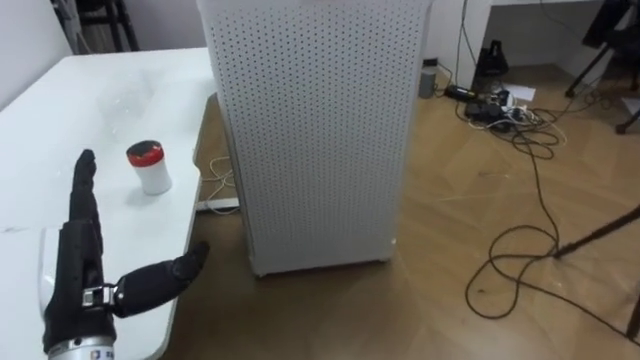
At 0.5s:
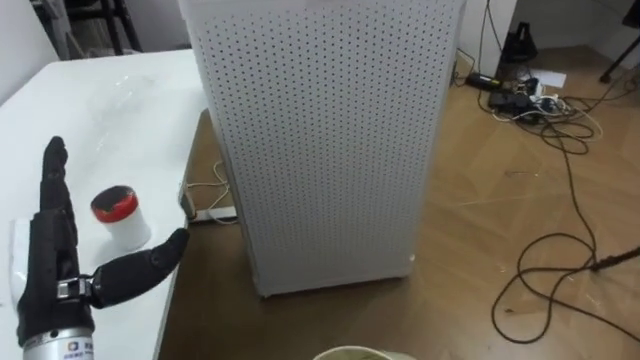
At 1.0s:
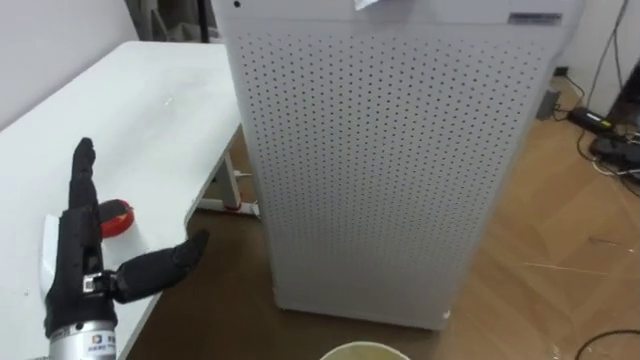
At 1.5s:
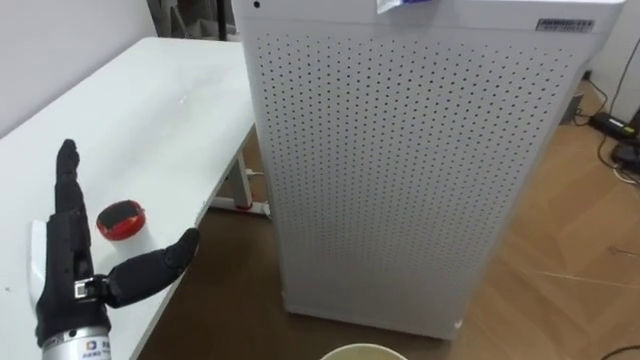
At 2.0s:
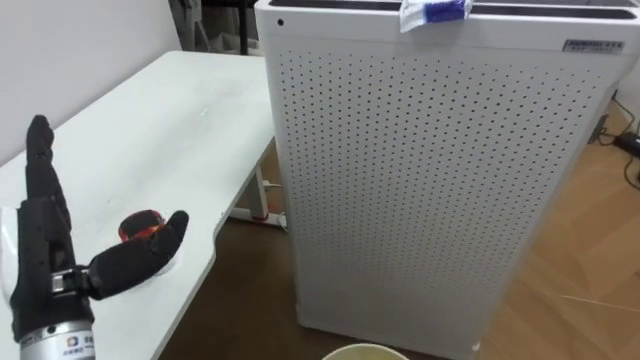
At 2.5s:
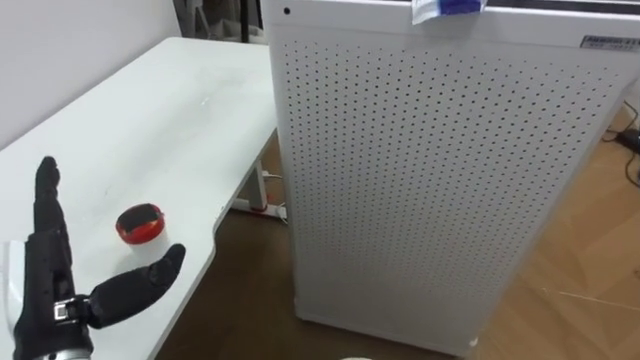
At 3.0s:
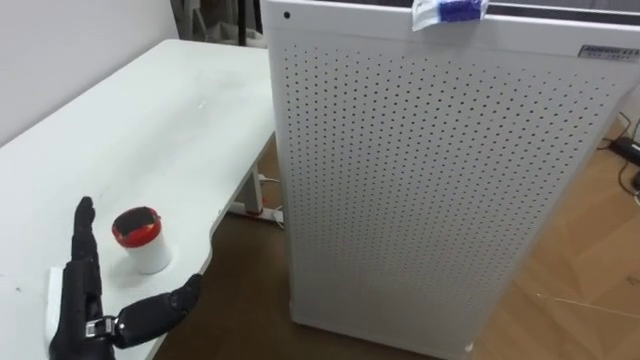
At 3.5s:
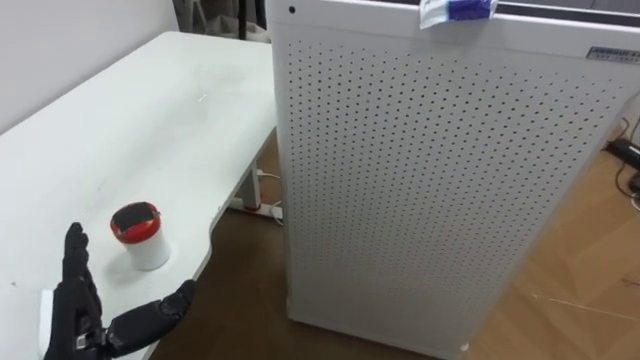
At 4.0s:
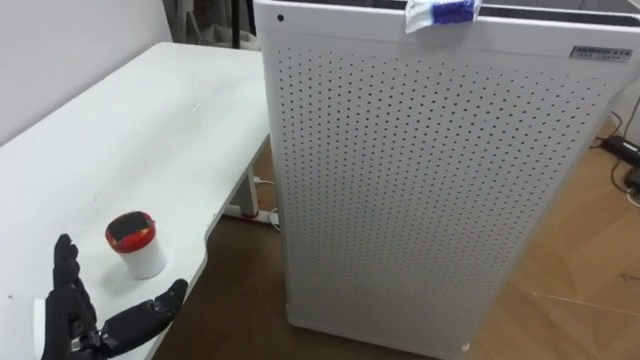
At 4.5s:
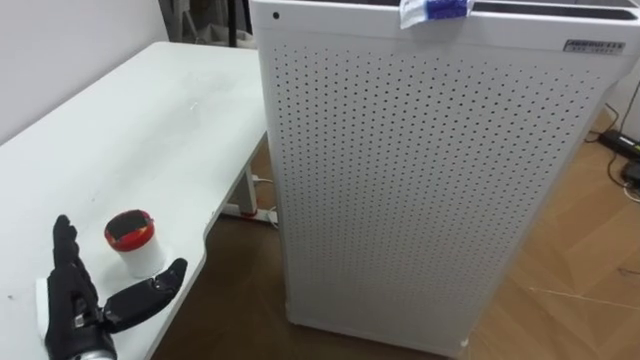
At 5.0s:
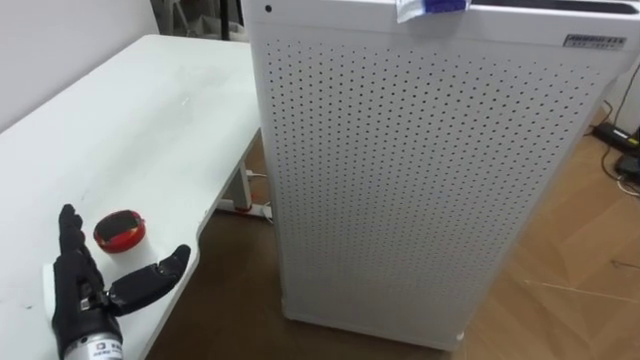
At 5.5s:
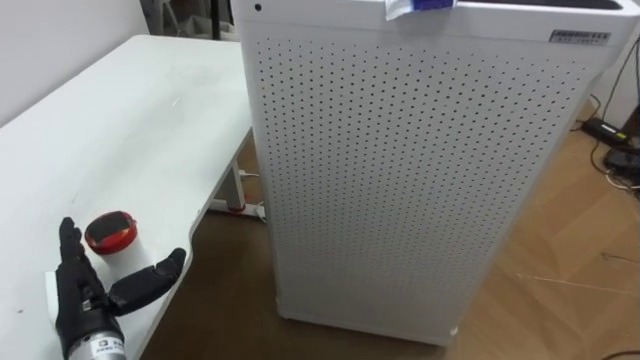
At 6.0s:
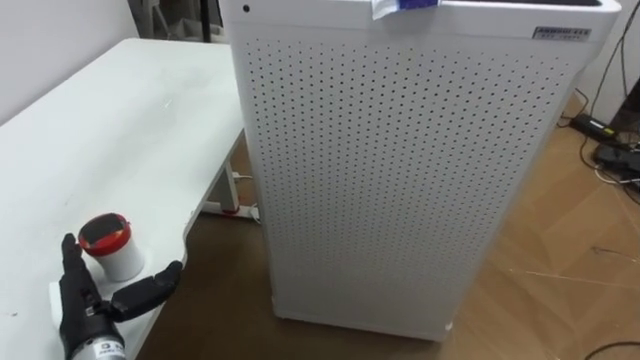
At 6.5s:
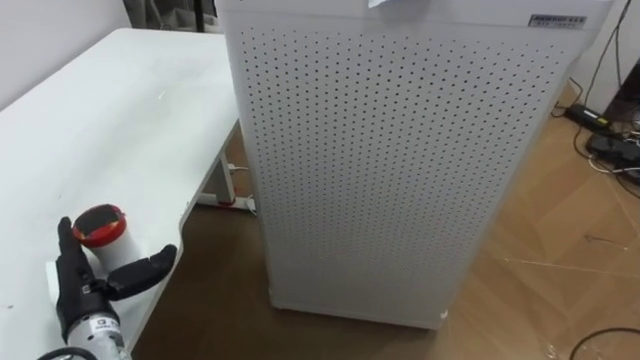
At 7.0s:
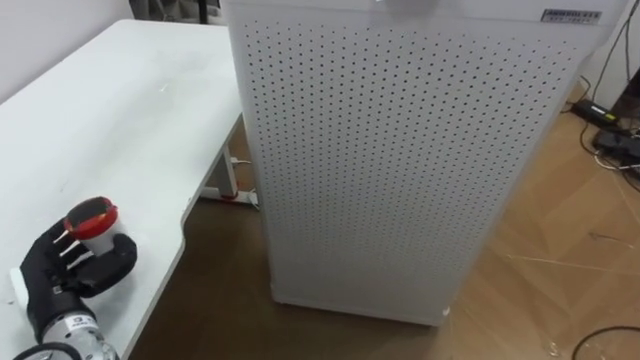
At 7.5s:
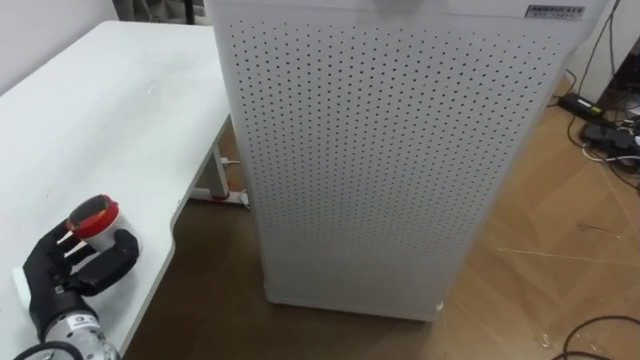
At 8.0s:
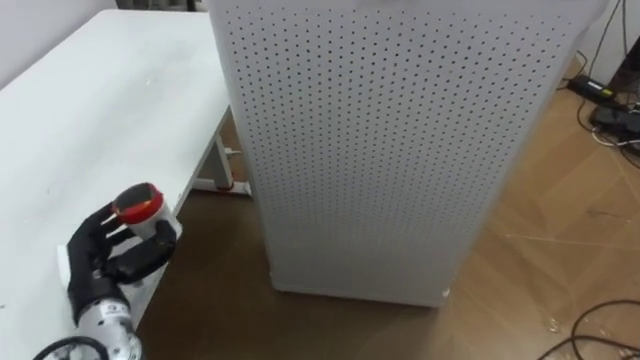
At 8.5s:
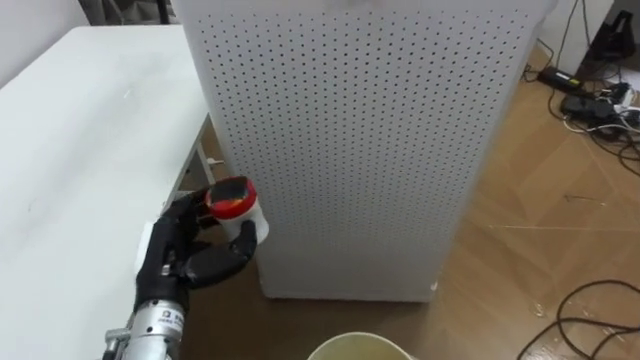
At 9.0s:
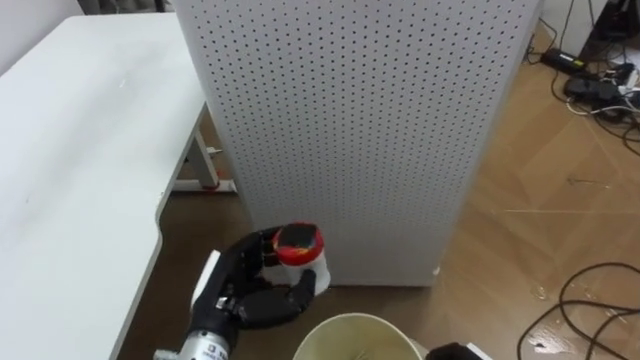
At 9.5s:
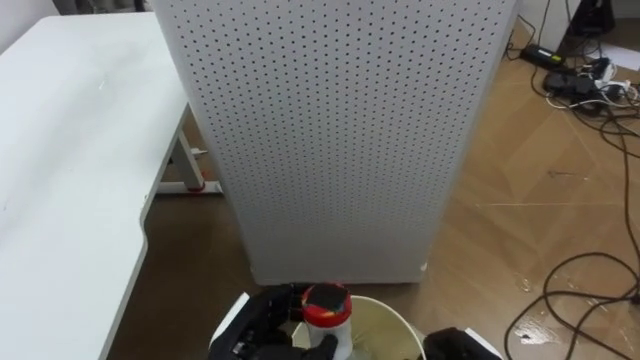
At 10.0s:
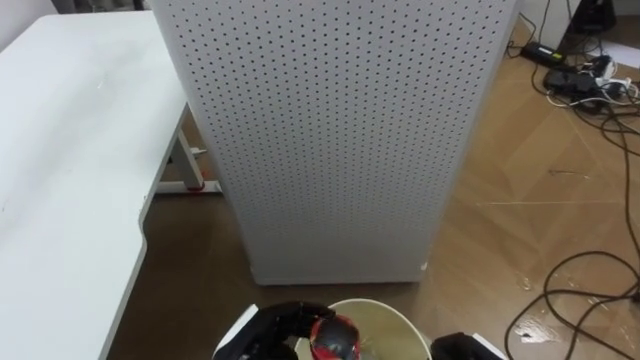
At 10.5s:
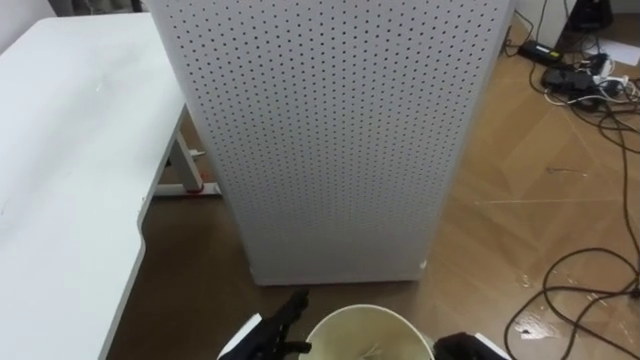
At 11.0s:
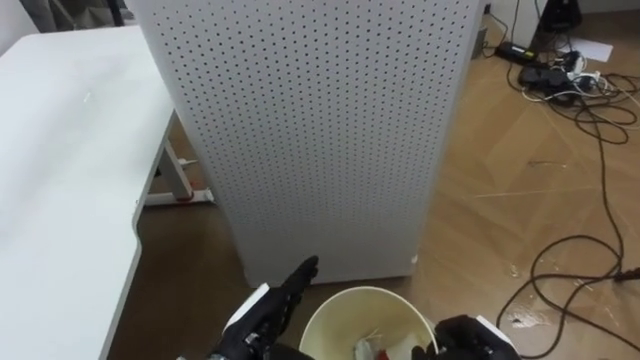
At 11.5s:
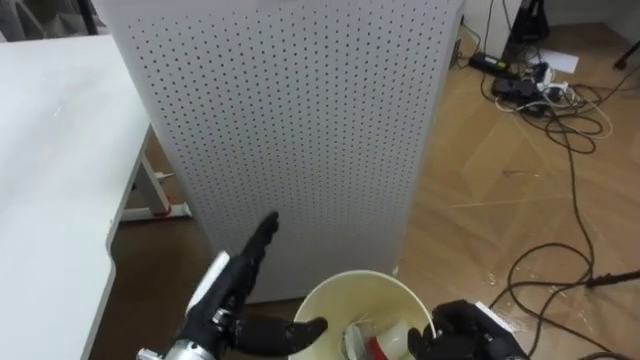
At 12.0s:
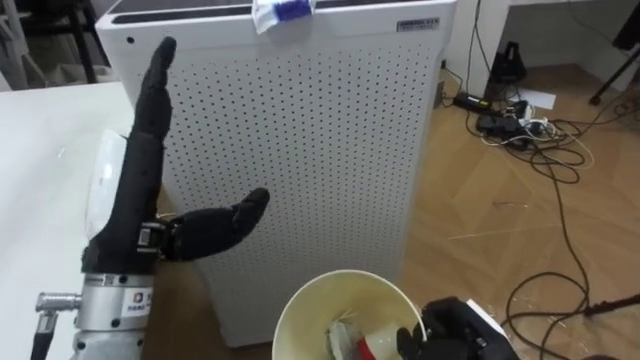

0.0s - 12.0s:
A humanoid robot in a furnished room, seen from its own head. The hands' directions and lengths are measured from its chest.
Task of the whole recording: Pick up the light blue package, the candy box, and the dark blue package separately, and put them into the trash can held in your right hand.
0.0s - 2.0s: The robot's body swings some 25 degrees to its left.
2.0s - 4.0s: The left hand is displaced downward by roughly 10 cm.
4.0s - 6.0s: The left hand moves about 5 cm.
6.0s - 8.0s: The left hand closes up.
8.0s - 10.0s: The left hand moves to the right, about 20 cm.
10.0s - 12.0s: The left hand shifts approximately 25 cm upward, and opens.

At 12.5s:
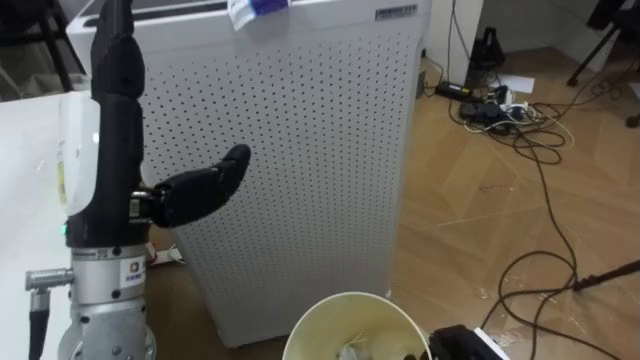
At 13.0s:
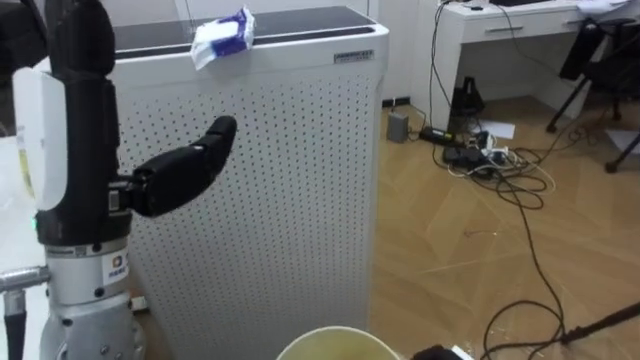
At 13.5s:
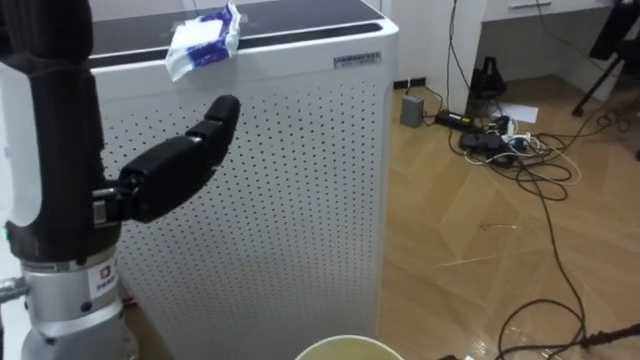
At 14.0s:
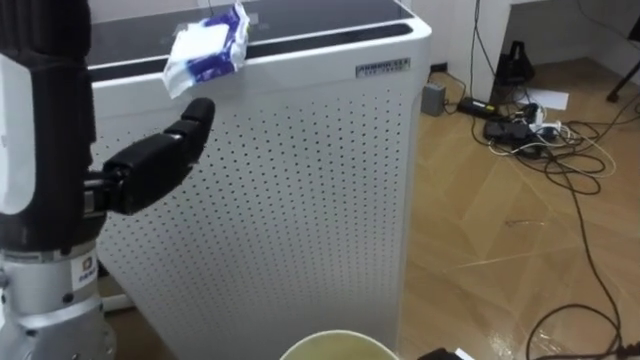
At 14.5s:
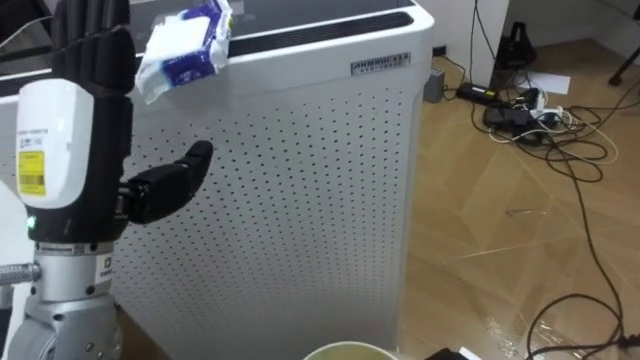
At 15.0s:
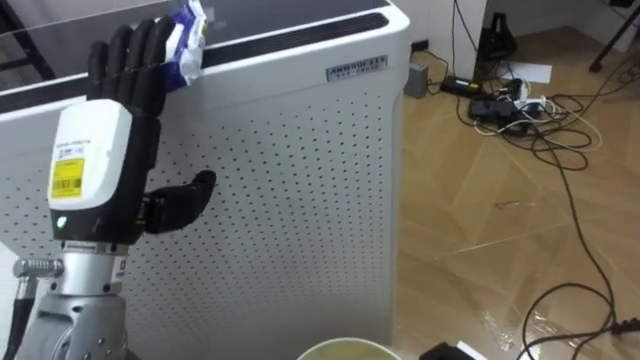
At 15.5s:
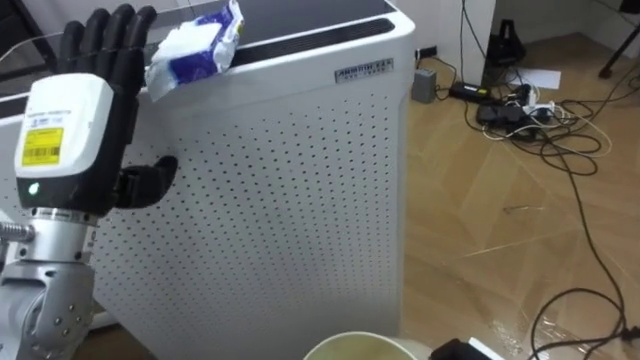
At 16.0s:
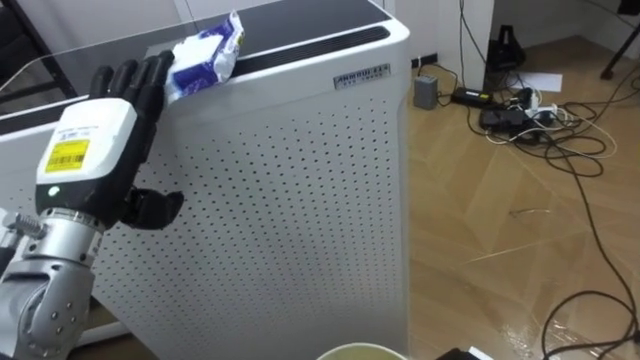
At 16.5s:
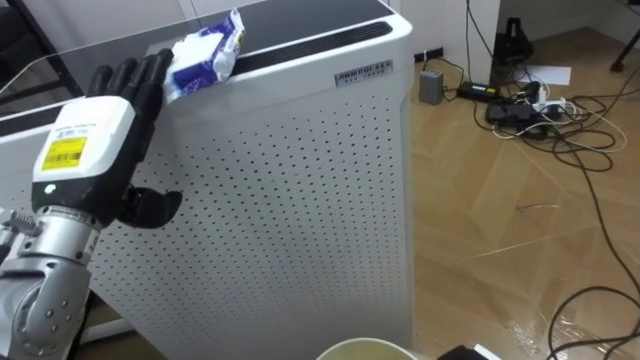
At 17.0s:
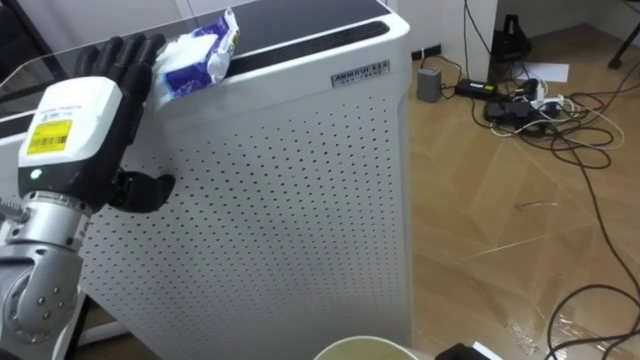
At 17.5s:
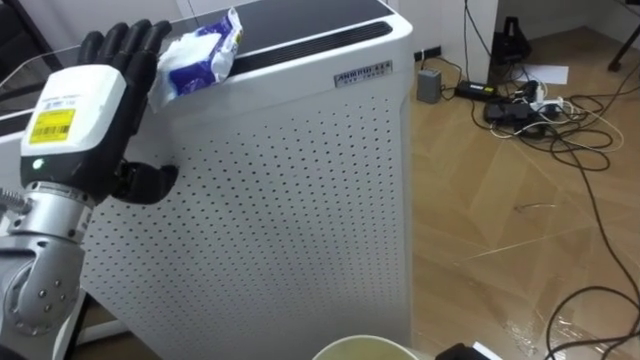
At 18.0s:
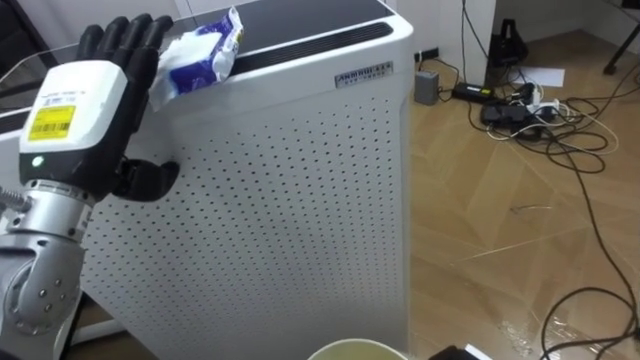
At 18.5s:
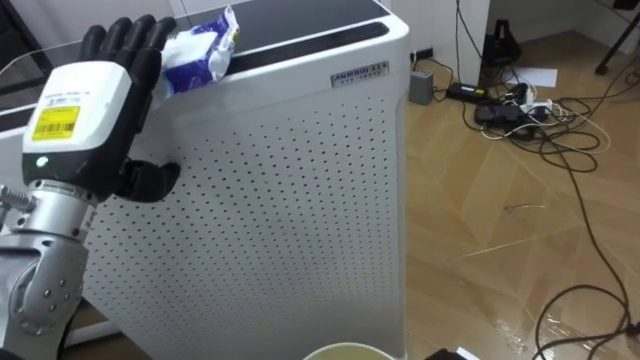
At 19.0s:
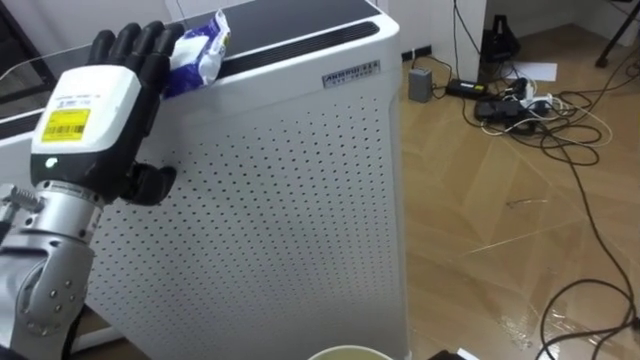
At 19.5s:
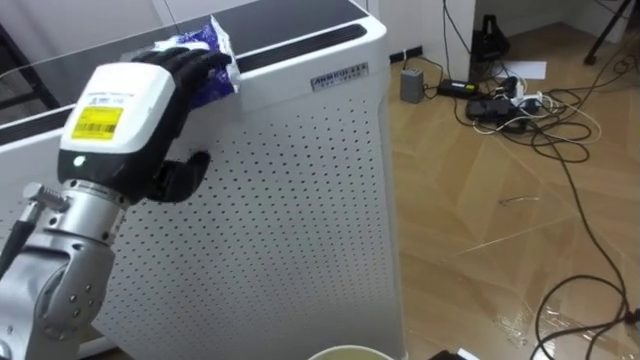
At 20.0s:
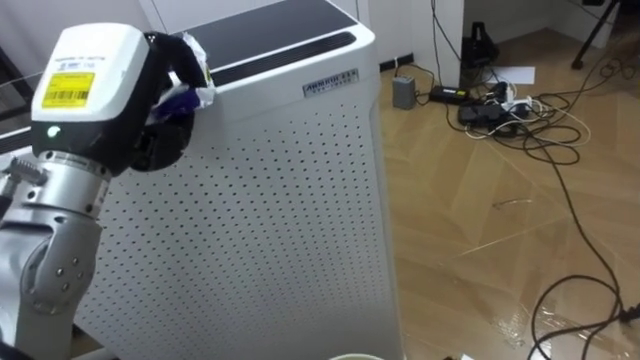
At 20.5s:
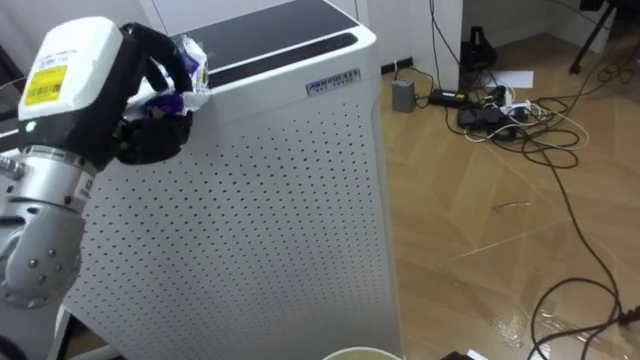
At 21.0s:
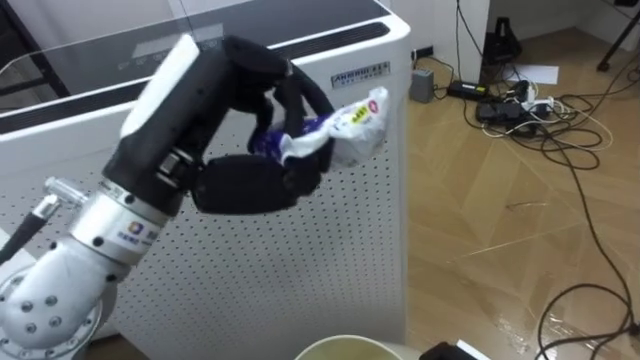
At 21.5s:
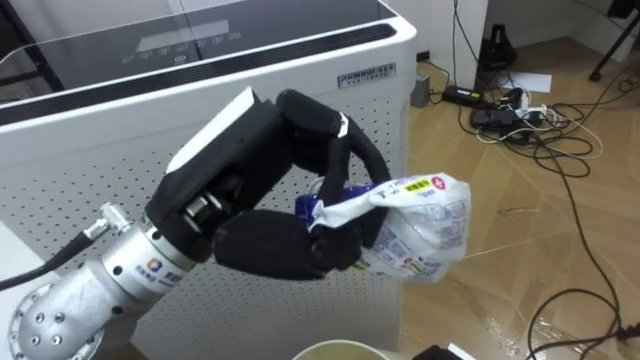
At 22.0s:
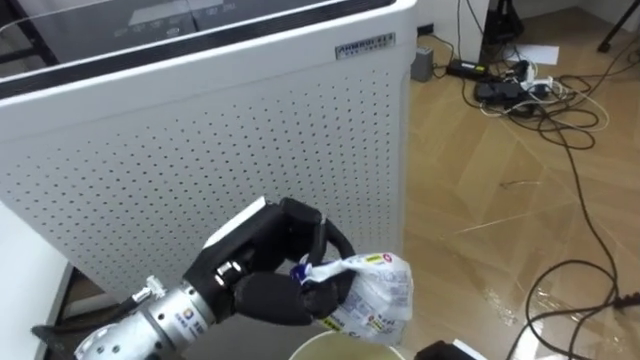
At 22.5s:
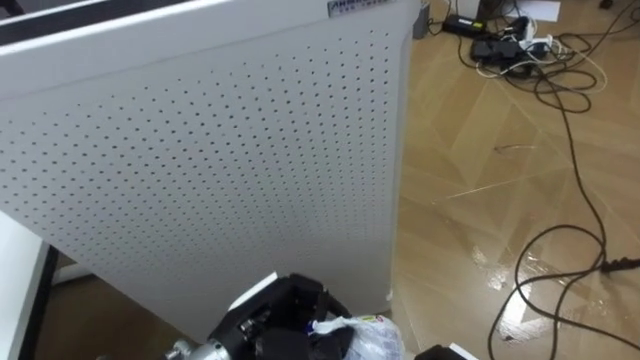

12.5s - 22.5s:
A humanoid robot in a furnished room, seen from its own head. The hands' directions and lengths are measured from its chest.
Task of the whole recording: Pick up the light blue package, the candy box, and the dark blue package separately, and put them into the trash can held in your right hand.
14.5s - 16.5s: The left hand travels forward by some 5 cm.
18.5s - 20.5s: The left hand closes.
20.5s - 22.5s: The left hand moves downward and to the right, approximately 30 cm.
